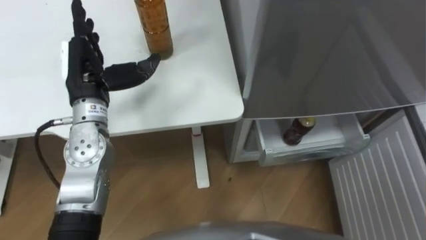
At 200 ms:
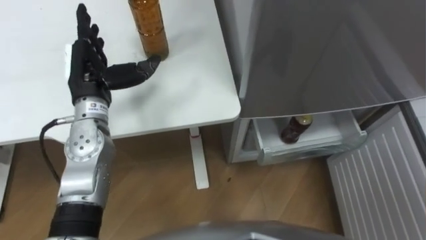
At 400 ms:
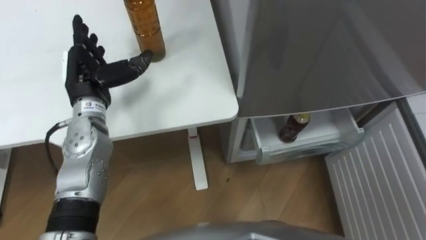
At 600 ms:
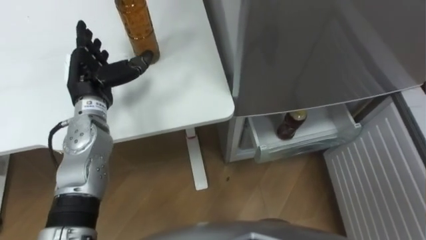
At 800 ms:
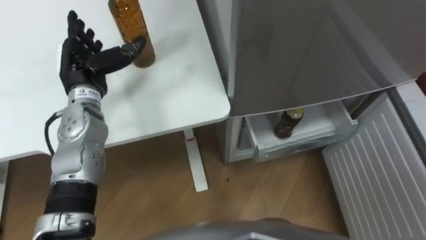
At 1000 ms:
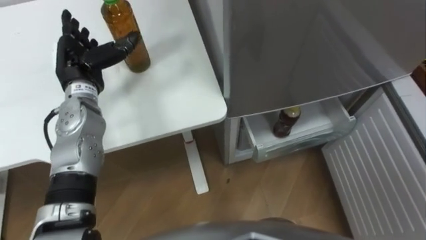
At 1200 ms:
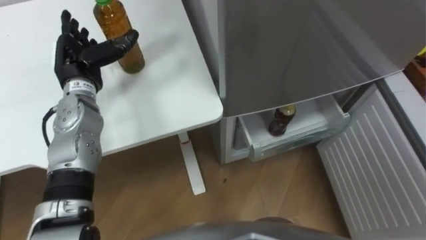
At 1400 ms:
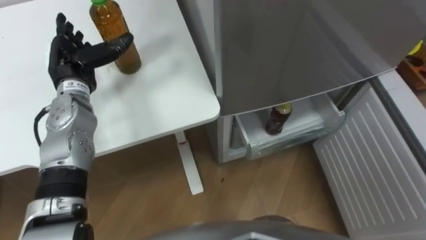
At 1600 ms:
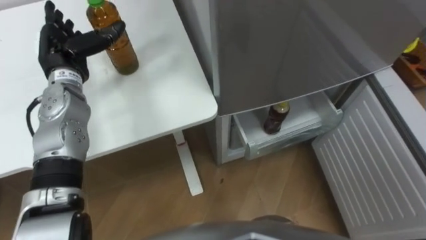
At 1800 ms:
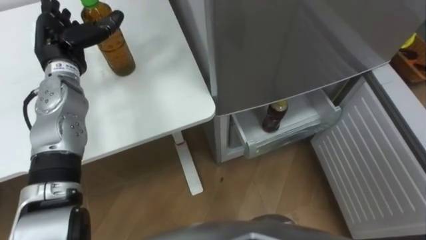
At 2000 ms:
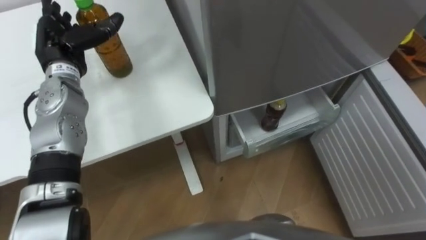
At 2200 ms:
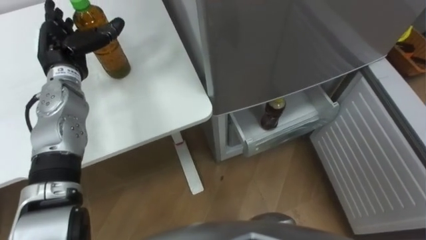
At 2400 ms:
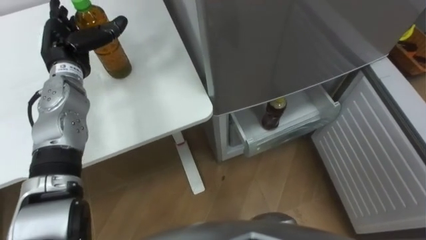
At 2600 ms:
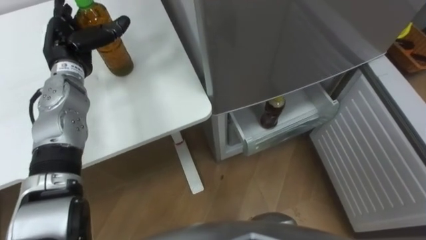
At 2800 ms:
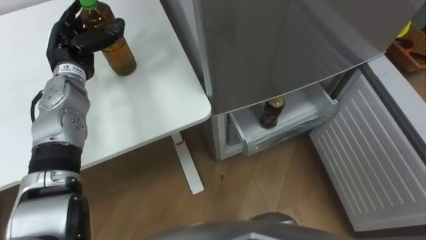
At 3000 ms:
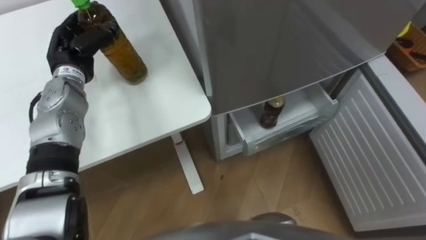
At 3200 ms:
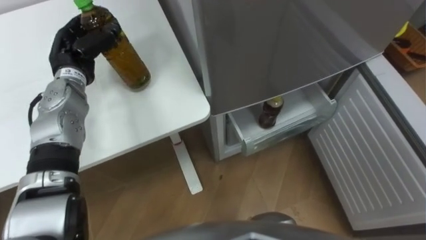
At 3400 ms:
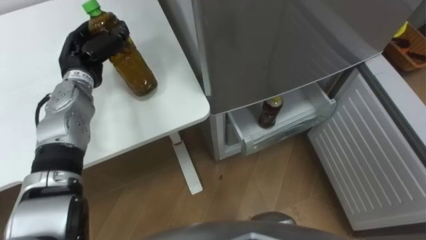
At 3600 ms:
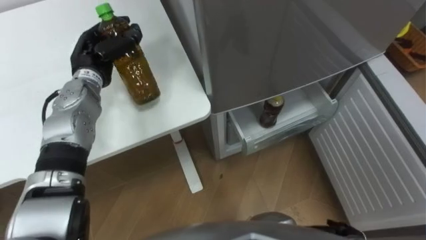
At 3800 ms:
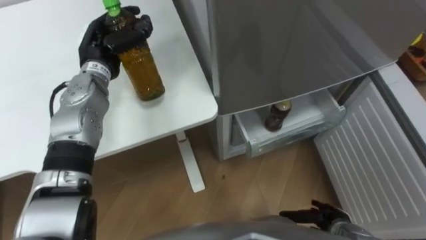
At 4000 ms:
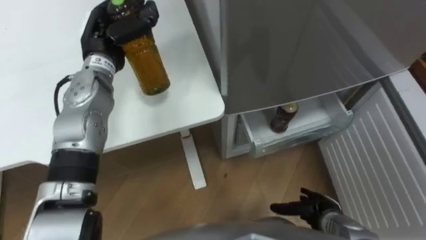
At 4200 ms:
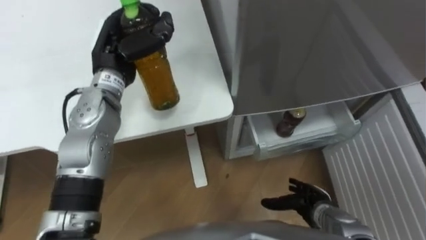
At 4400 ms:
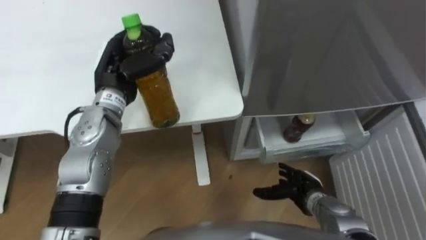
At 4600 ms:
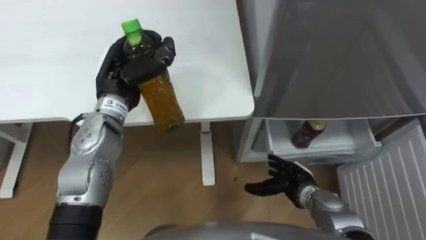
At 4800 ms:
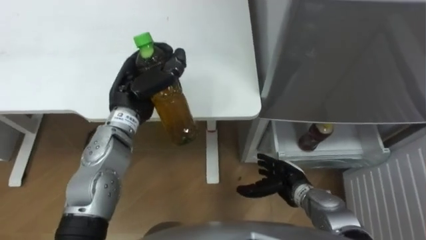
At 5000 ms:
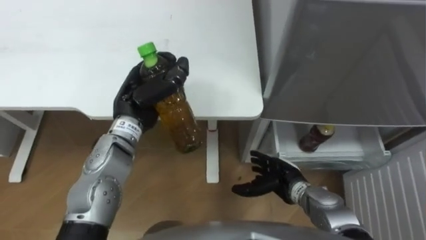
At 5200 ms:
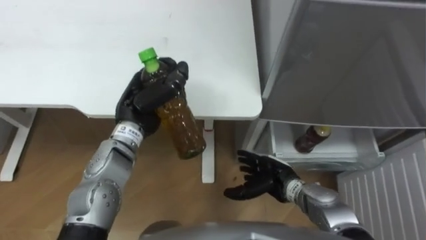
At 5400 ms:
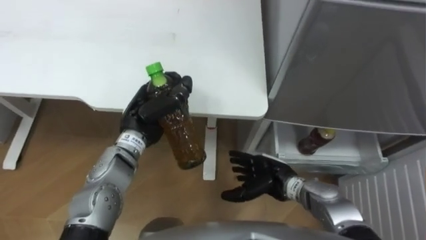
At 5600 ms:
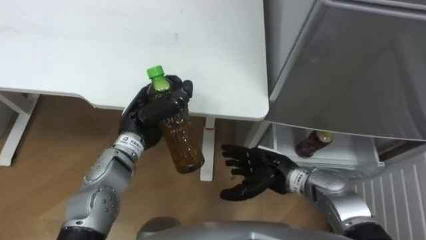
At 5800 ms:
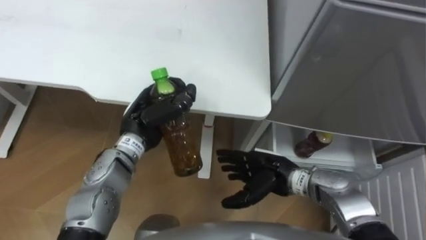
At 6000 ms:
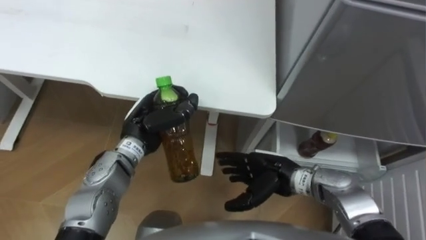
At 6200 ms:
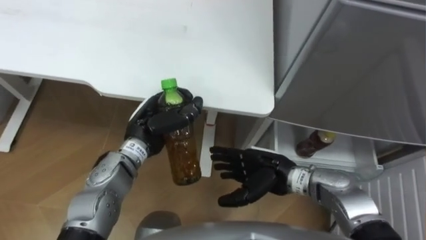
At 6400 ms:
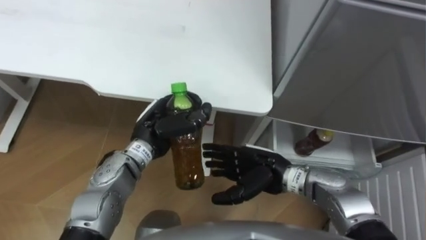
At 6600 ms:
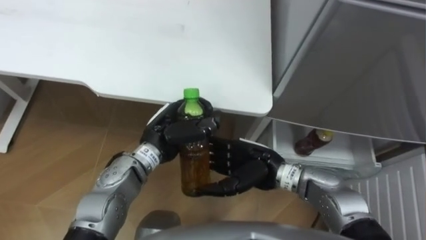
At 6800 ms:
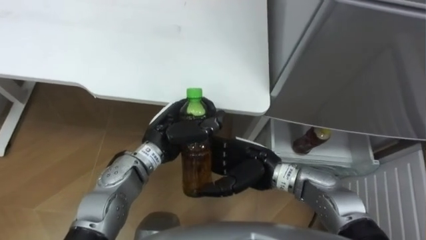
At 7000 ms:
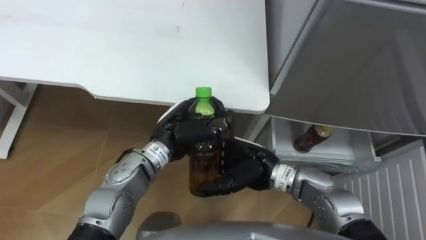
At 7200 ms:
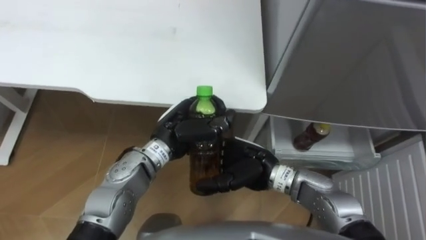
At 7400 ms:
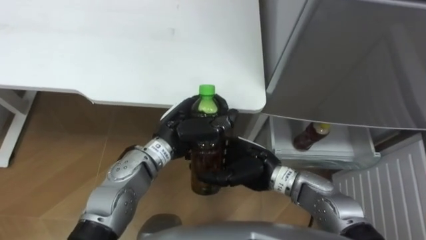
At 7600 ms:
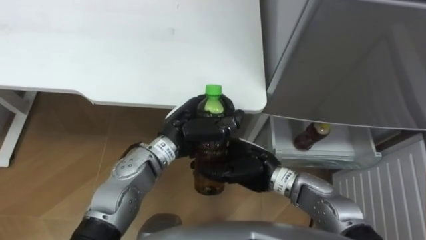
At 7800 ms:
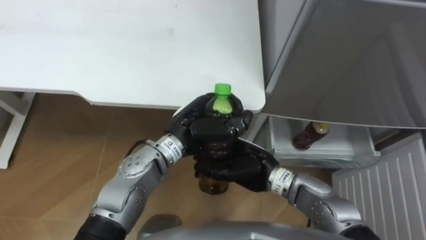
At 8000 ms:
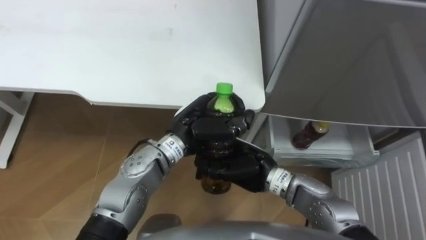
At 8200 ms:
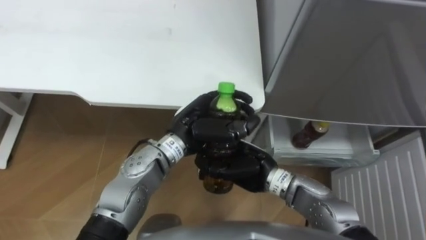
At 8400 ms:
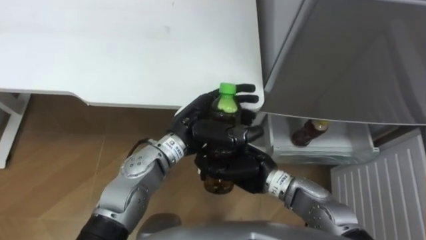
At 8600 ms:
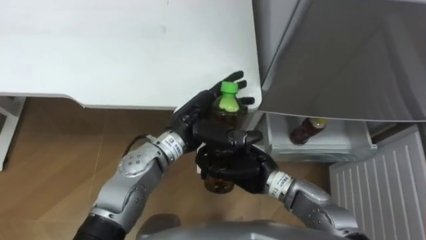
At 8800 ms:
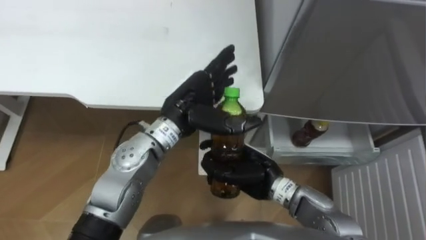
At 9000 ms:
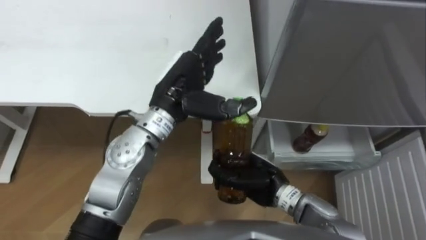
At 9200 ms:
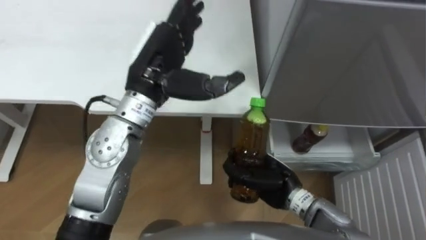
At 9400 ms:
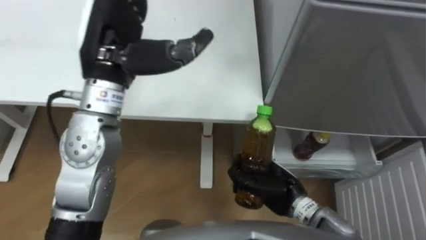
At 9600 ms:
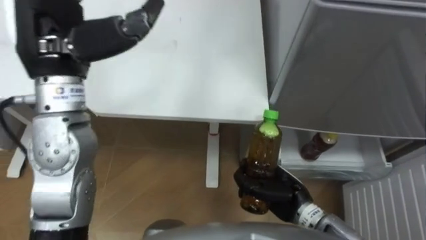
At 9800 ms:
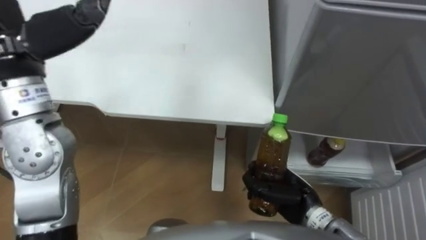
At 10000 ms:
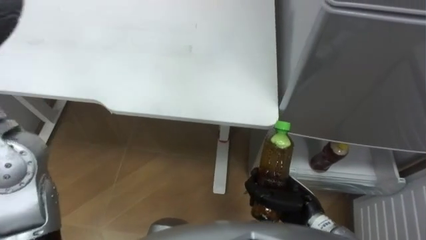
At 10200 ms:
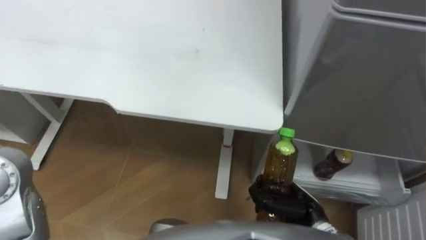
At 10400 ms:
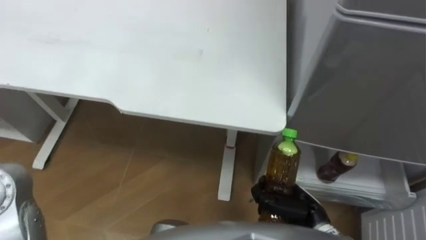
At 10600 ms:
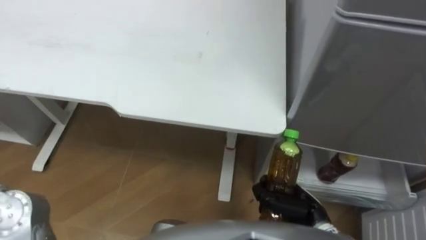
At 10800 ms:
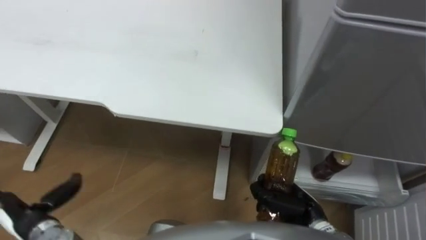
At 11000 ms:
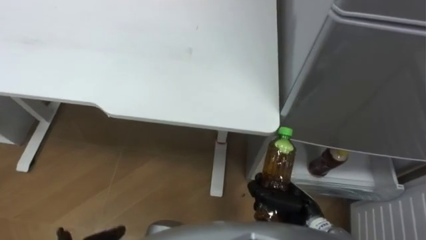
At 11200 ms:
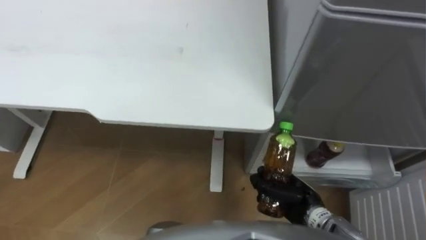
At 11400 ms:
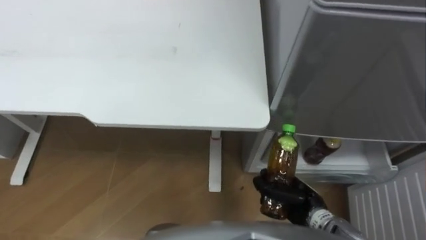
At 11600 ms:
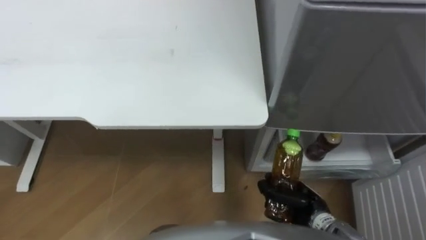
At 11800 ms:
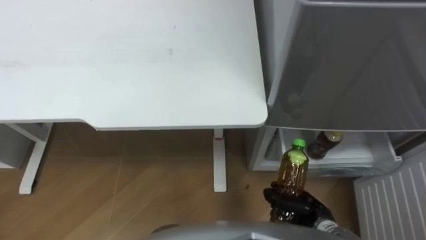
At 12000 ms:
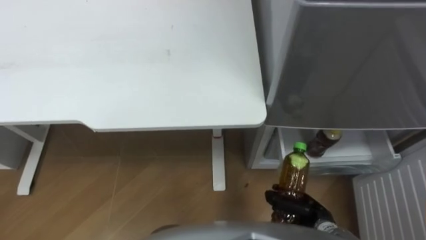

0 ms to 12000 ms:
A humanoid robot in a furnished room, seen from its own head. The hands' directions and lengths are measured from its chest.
Task of the whole recording: Place the drink on the table on the bottom shelf of the refrigerator, then close the drawer and the refrigerator door.
0 ms to 1600 ms: The left hand travels forward and to the left by some 10 cm.
1600 ms to 3000 ms: The left hand closes up.
3000 ms to 4400 ms: The left hand travels to the right by roughly 10 cm, and closes.
4400 ms to 6000 ms: The left hand travels downward and backward by roughly 10 cm; the right hand moves upward and to the left, roughly 10 cm.
6000 ms to 7600 ms: The right hand is displaced to the left by about 5 cm, and closes its fingers. Meanwhile the left hand goes about 10 cm to the right.
7600 ms to 9000 ms: The left hand is displaced upward by roughly 10 cm, and opens up.
9000 ms to 10400 ms: The right hand heads to the right and backward, covering some 10 cm.
10400 ms to 12000 ms: The right hand changes place by roughly 5 cm.

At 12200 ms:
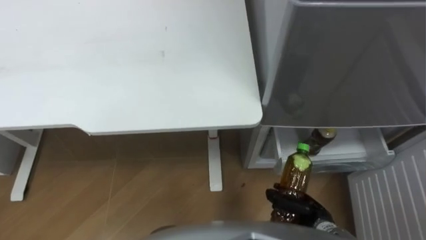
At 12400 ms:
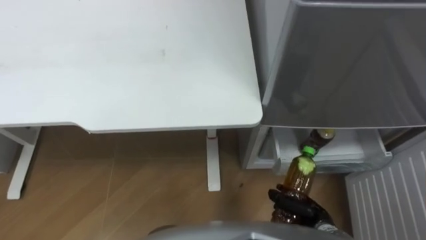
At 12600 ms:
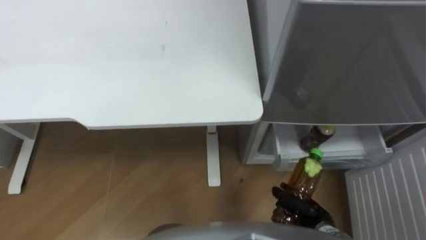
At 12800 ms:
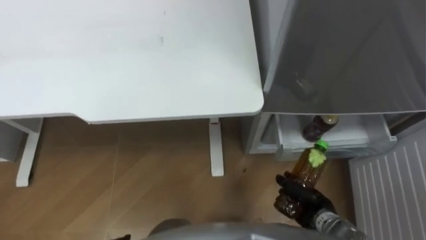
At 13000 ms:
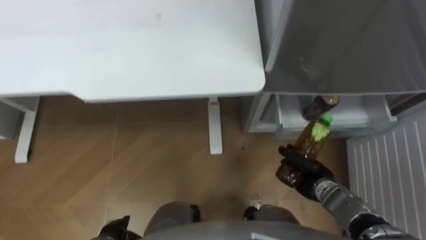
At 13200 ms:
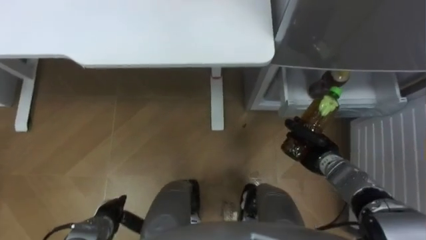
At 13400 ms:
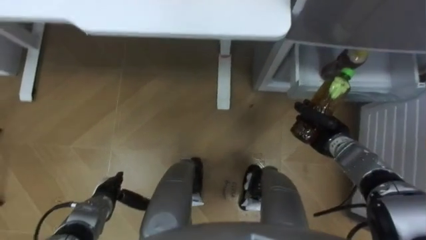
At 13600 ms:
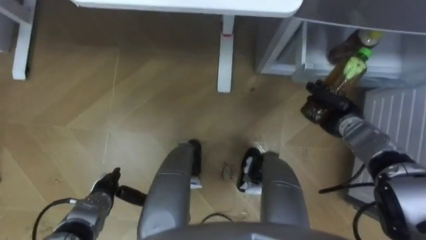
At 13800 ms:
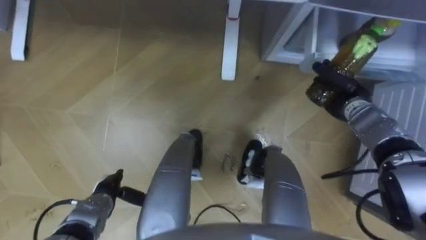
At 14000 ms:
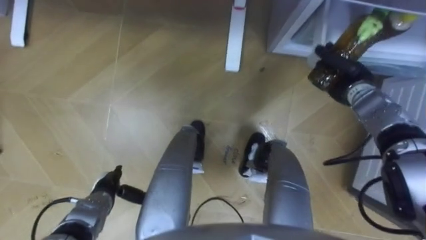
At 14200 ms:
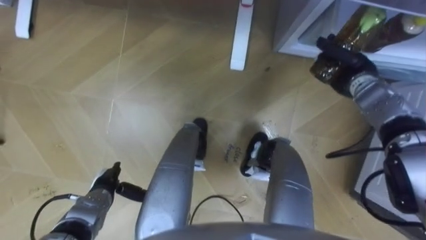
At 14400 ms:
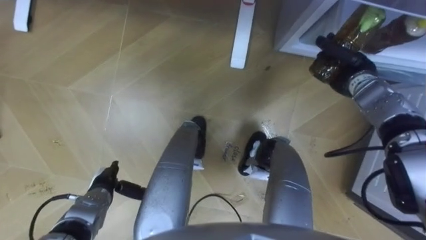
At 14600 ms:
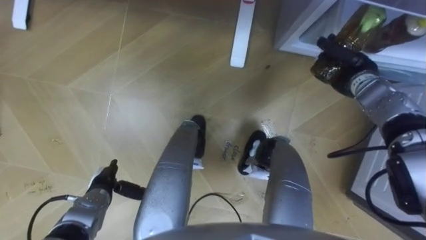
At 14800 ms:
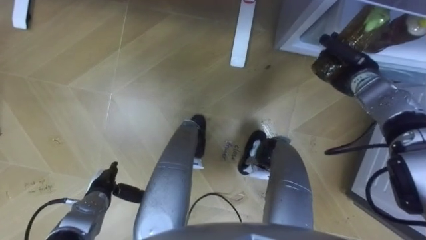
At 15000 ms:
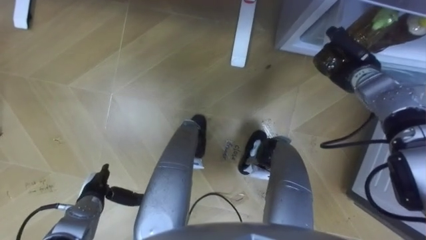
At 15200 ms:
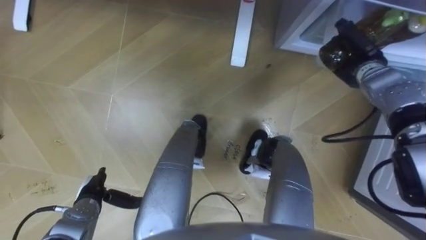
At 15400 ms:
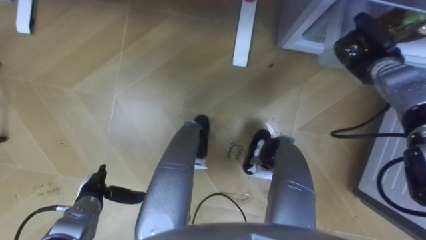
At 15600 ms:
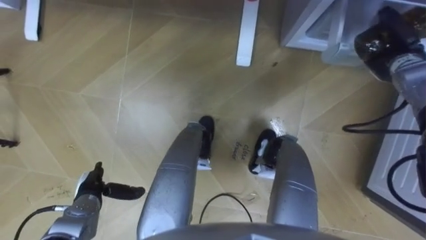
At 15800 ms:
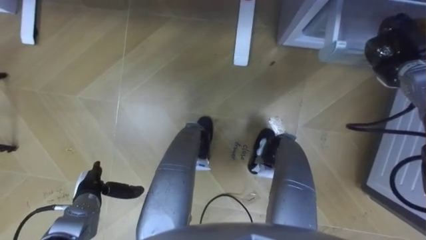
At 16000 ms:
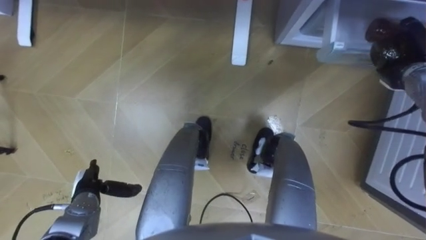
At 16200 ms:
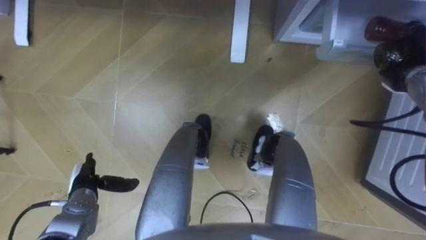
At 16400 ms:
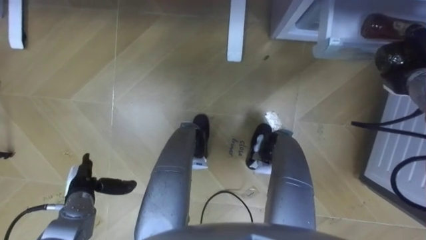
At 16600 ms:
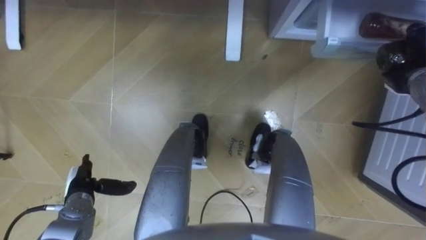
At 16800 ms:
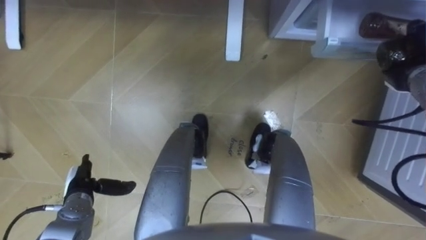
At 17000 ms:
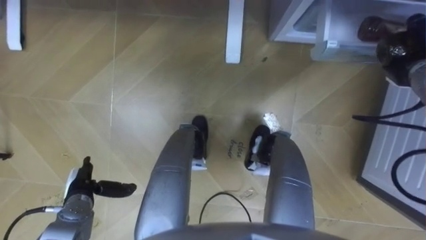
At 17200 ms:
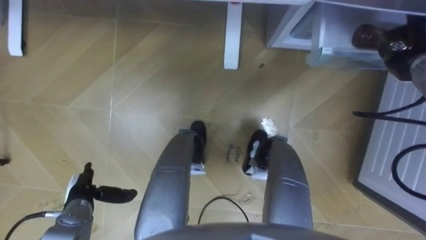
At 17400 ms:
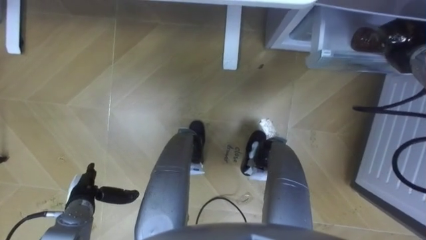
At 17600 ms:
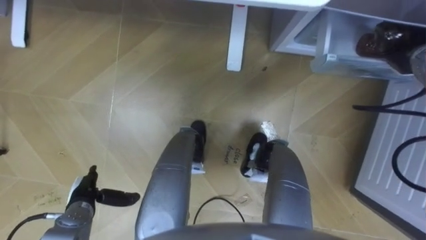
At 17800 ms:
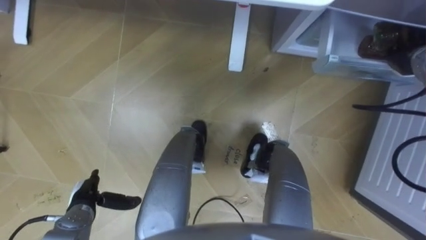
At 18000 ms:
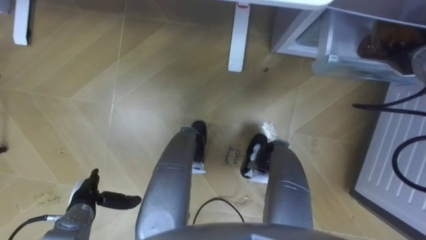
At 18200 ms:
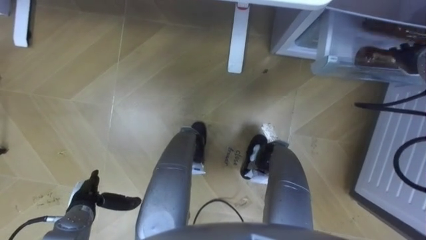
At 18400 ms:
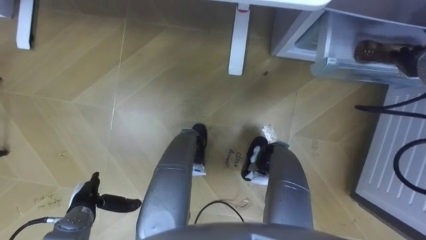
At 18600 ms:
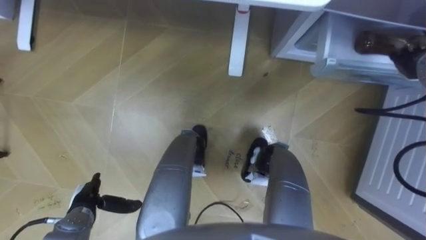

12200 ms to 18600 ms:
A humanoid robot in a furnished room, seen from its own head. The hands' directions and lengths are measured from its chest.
Task of the whole recording: Place the drink on the table on the bottom shelf of the refrigerator, then close the drawer and the refrigerator door.
12200 ms to 13800 ms: The right hand travels forward and upward by roughly 25 cm.
13800 ms to 15400 ms: The right hand moves upward and forward, about 10 cm.
15400 ms to 17000 ms: The right hand heads to the right, covering about 5 cm.
17000 ms to 18600 ms: The right hand opens up.
